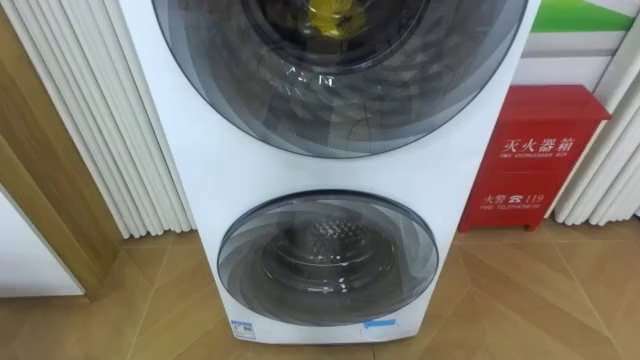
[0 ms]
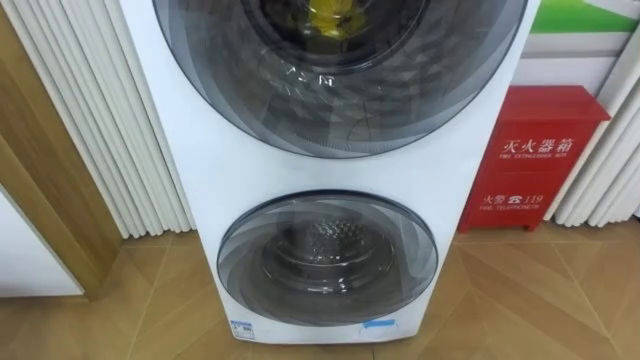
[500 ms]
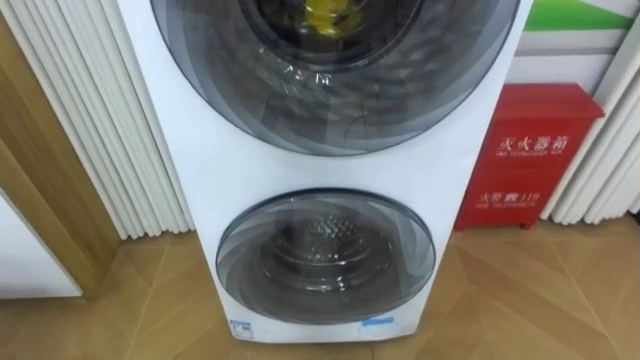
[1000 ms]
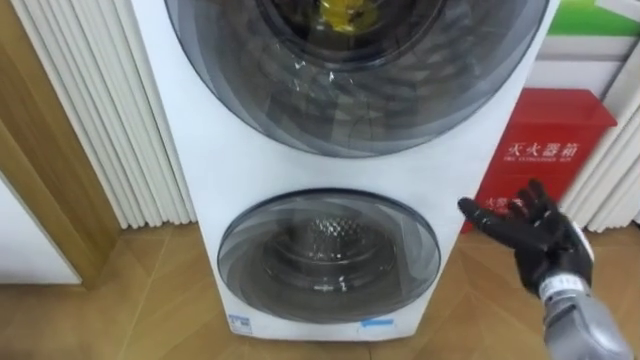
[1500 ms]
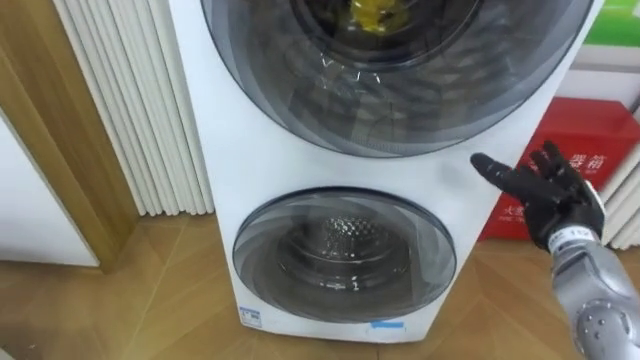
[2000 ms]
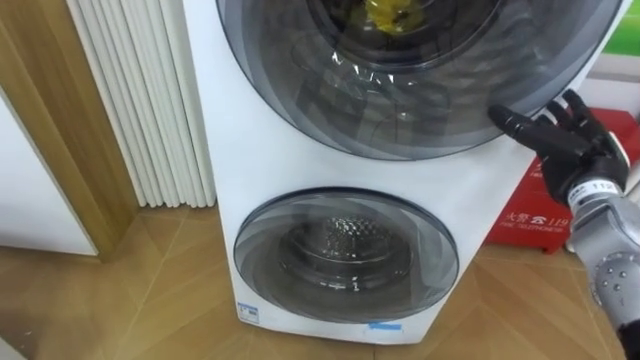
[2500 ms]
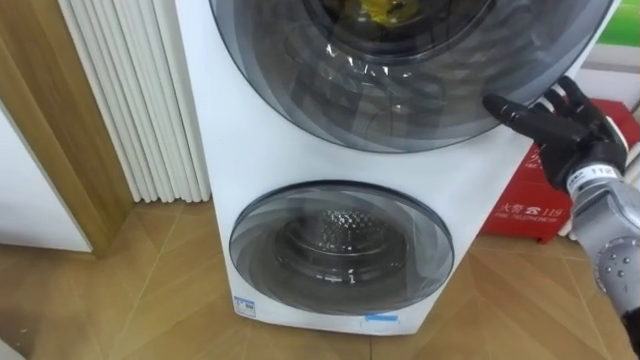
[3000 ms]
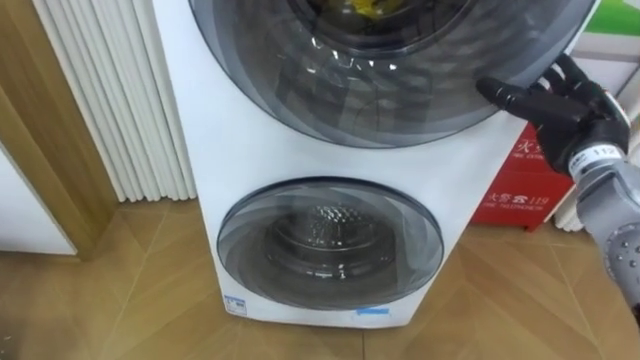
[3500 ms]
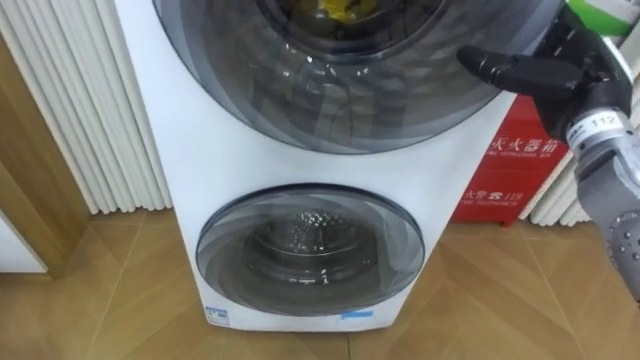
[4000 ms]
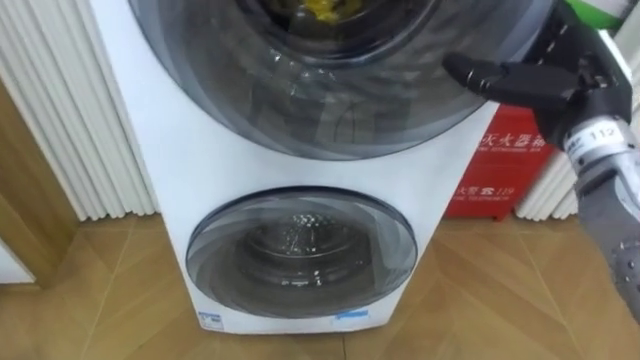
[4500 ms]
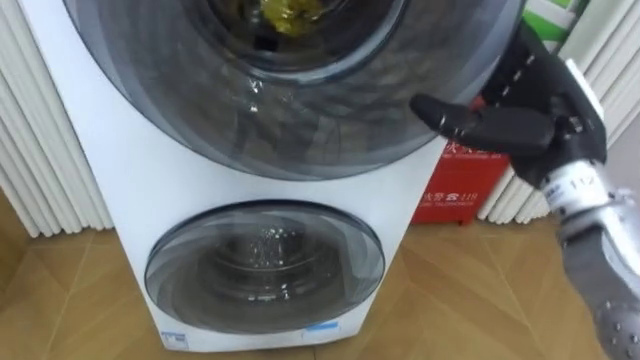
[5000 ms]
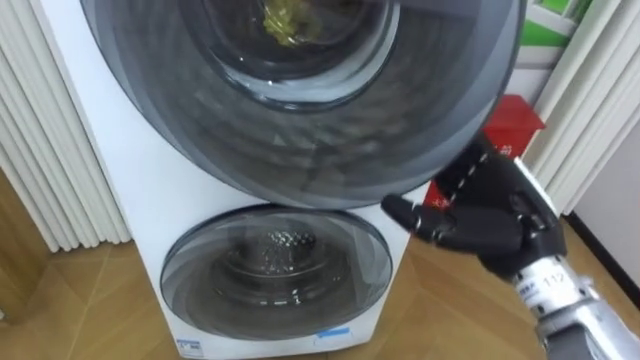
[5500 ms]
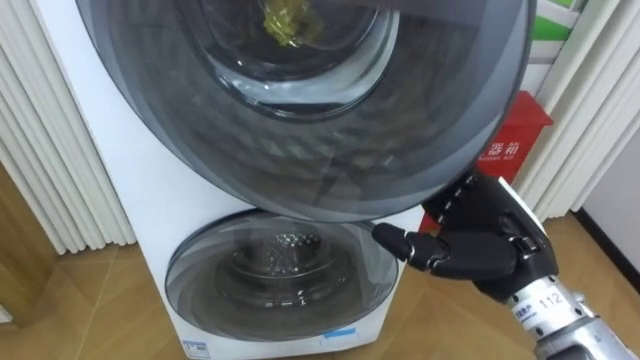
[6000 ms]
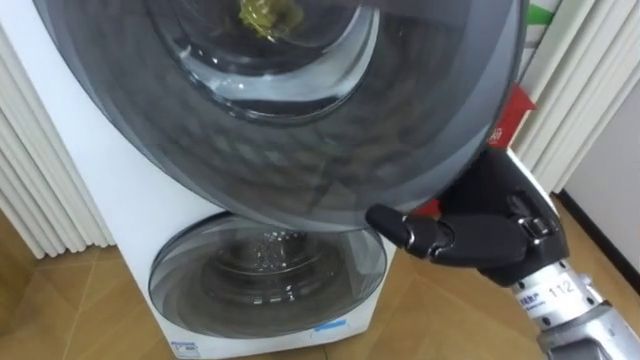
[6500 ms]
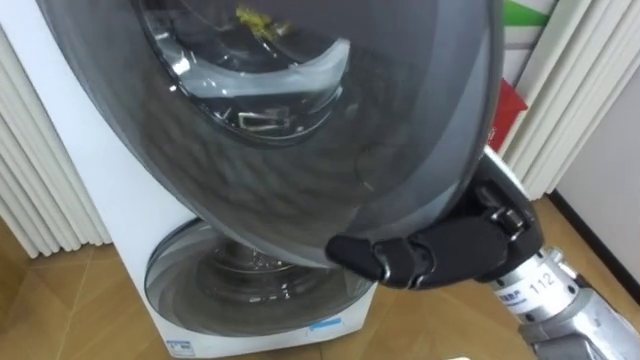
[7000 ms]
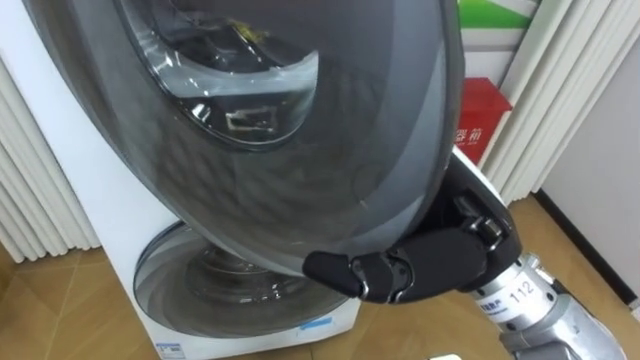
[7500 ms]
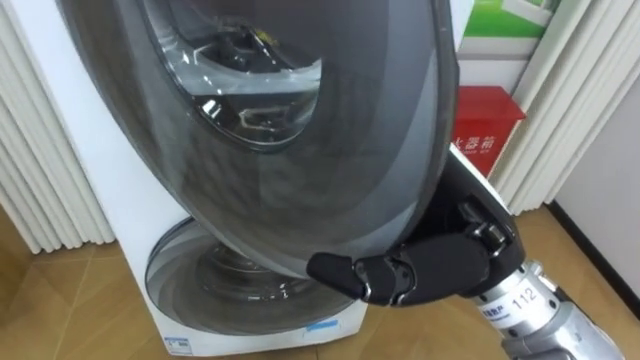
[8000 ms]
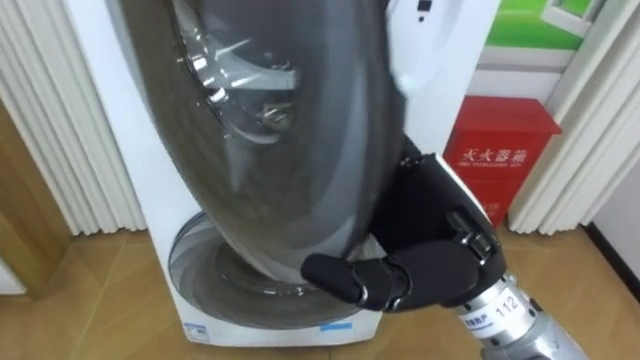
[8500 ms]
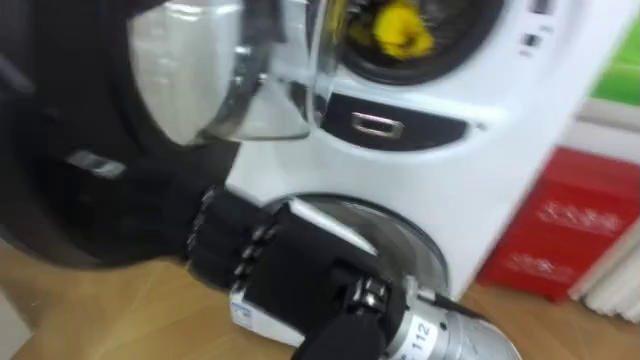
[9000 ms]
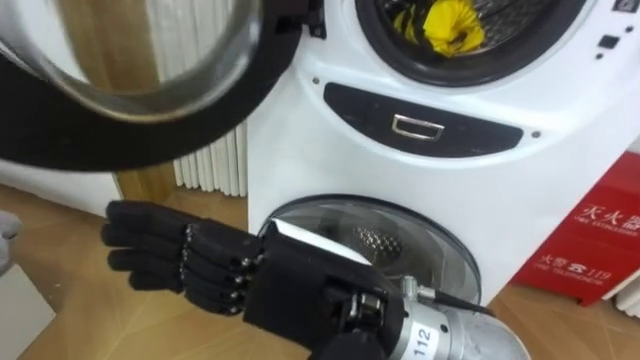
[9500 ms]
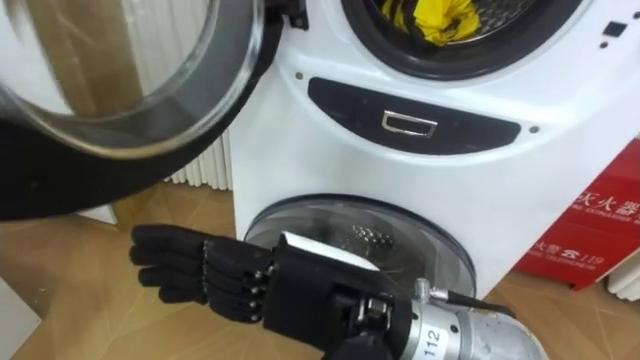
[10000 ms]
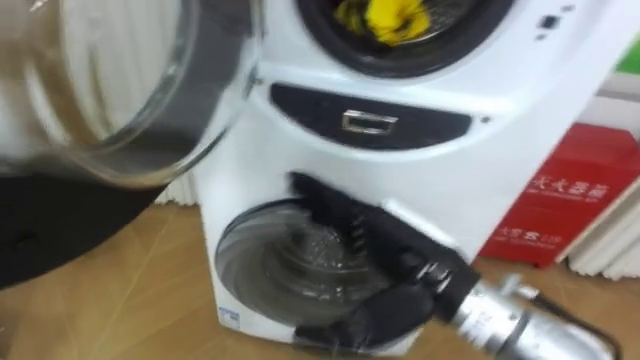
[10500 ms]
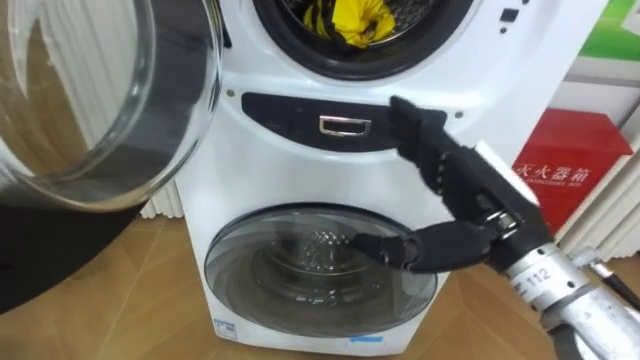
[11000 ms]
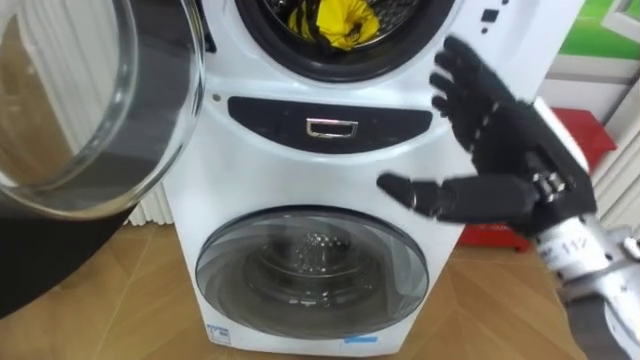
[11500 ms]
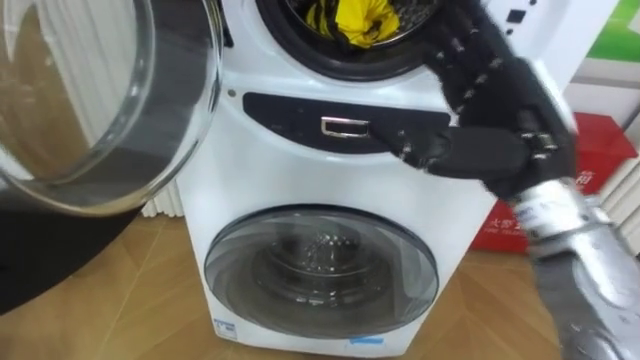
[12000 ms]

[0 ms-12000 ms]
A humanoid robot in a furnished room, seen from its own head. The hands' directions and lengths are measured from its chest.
Task of the whole recording: Open the washing machine door, take out the yellow clothes, place them in the box on the right, and close the washing machine door.
2000 ms to 4000 ms: The right hand moves upward, roughly 15 cm.
4000 ms to 6000 ms: The right hand heads backward, downward and to the left, covering roughly 15 cm.
6000 ms to 8000 ms: The right hand moves to the left and upward, about 10 cm.
8000 ms to 10000 ms: The right hand goes about 10 cm to the left and backward.
10000 ms to 12000 ms: The right hand shifts approximately 20 cm to the right and forward.

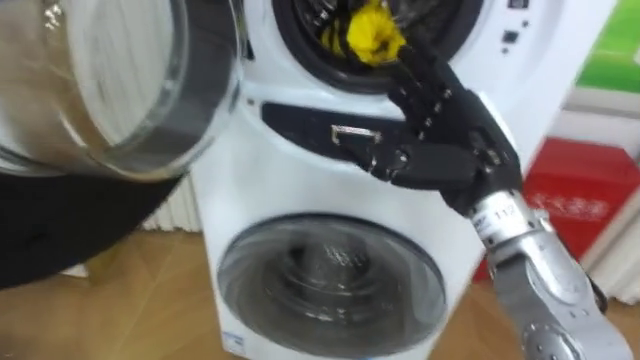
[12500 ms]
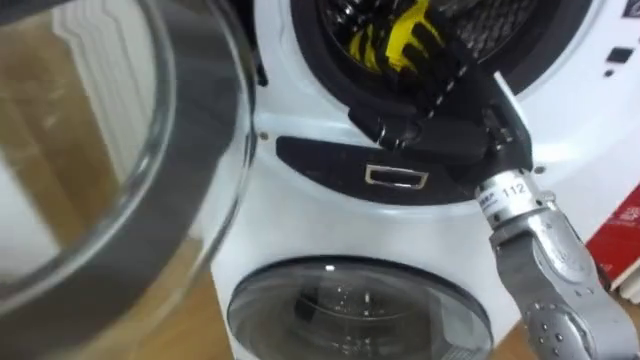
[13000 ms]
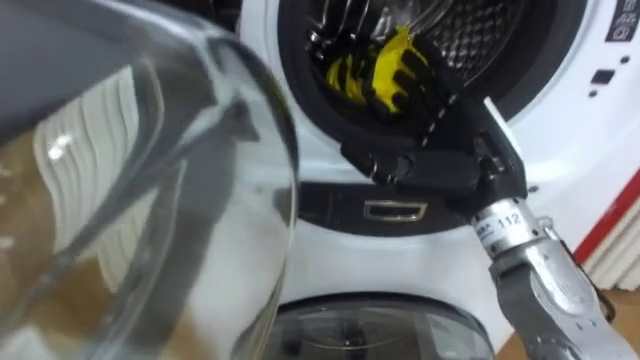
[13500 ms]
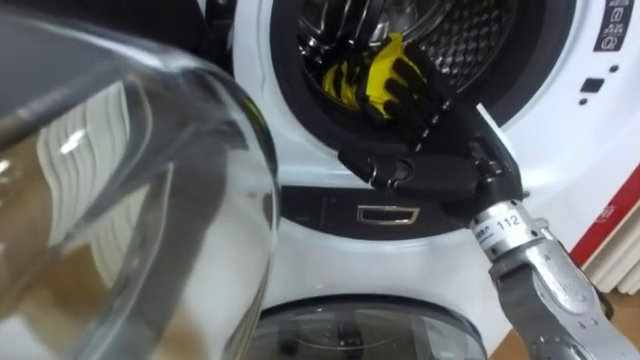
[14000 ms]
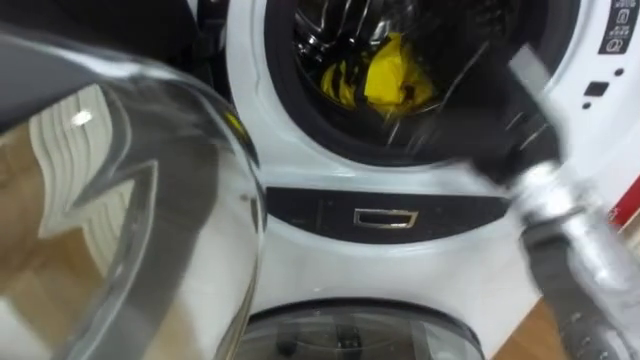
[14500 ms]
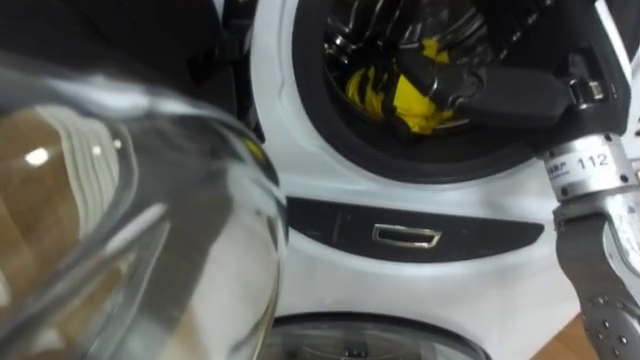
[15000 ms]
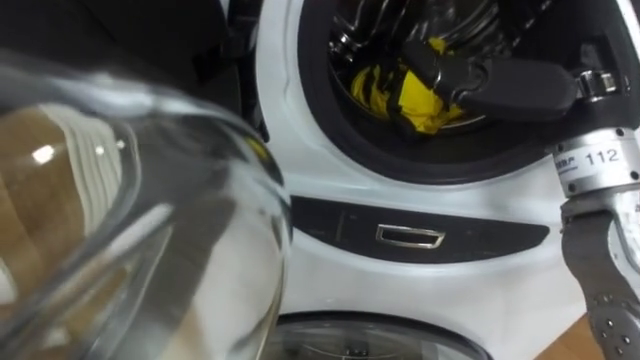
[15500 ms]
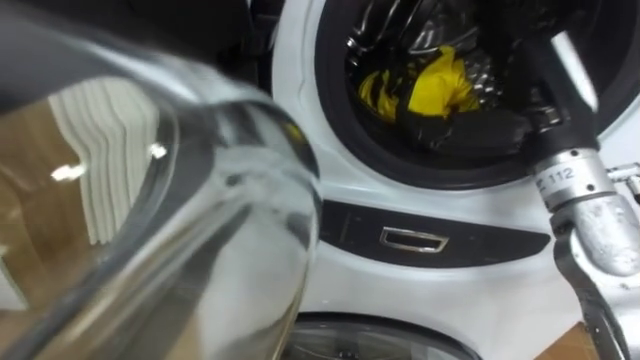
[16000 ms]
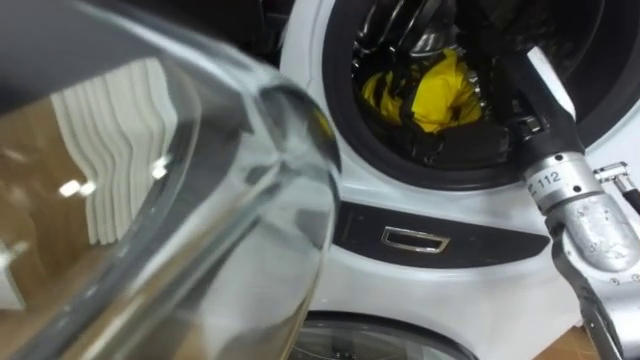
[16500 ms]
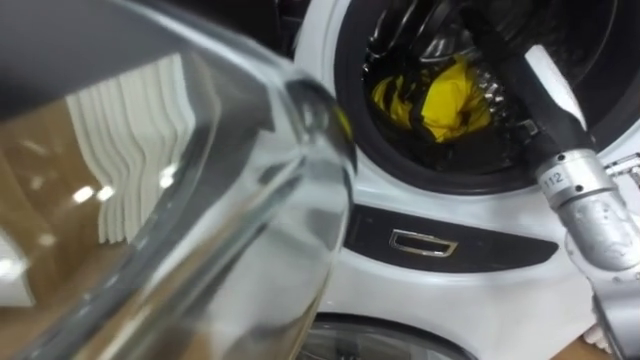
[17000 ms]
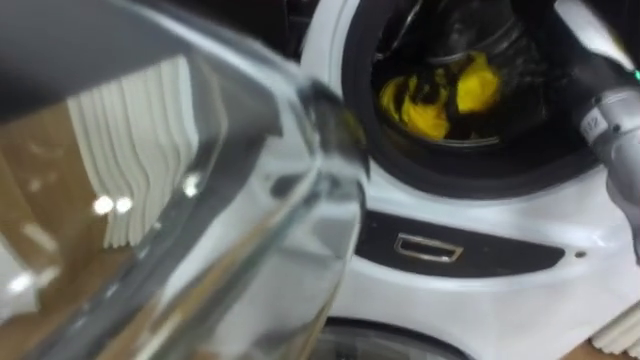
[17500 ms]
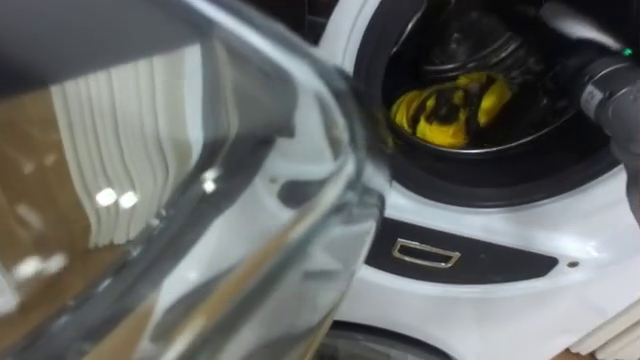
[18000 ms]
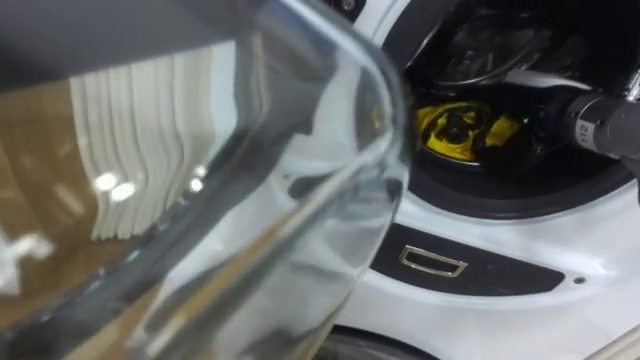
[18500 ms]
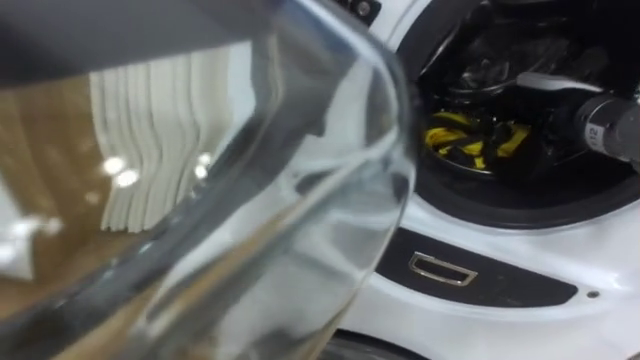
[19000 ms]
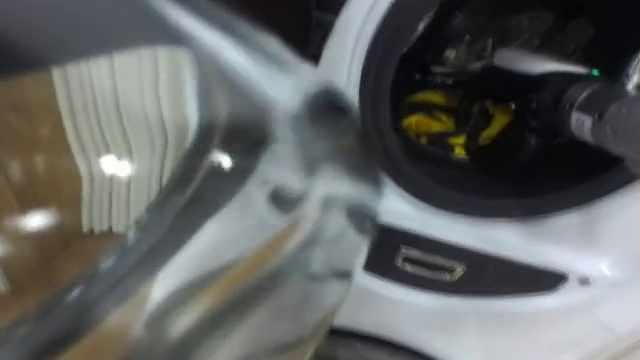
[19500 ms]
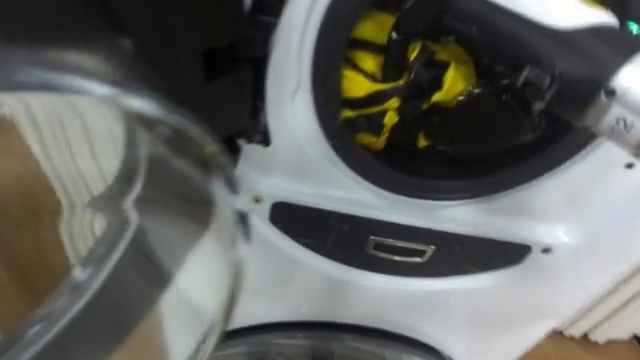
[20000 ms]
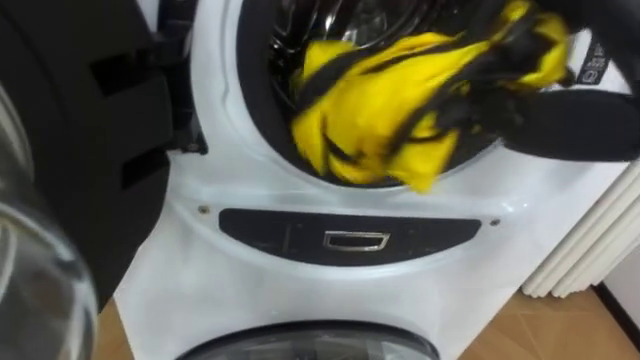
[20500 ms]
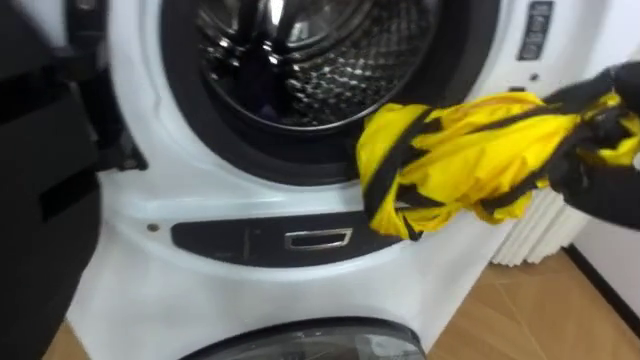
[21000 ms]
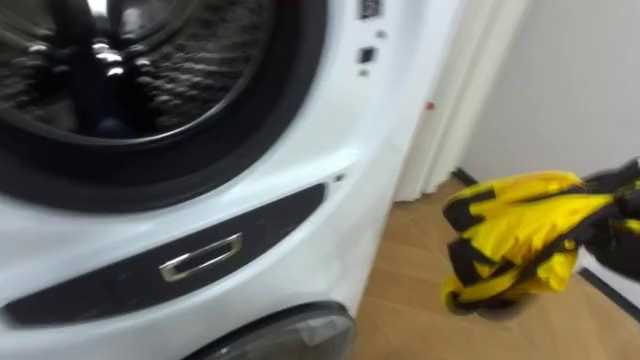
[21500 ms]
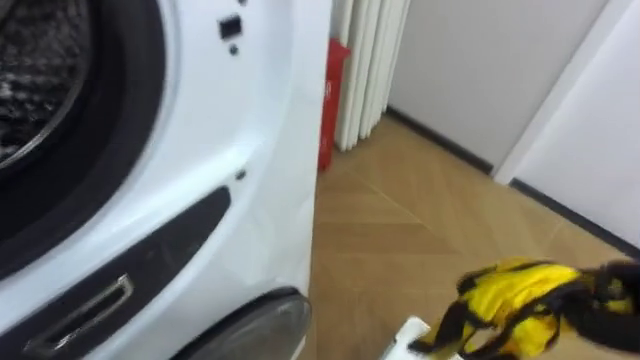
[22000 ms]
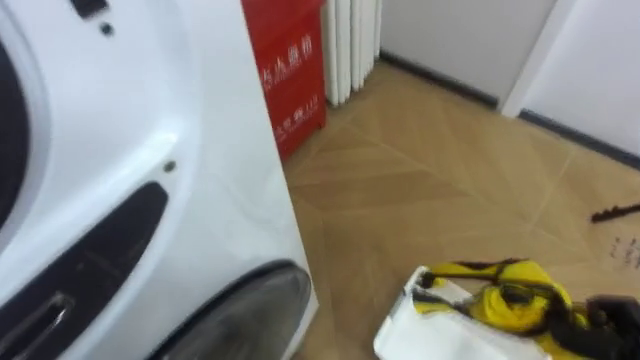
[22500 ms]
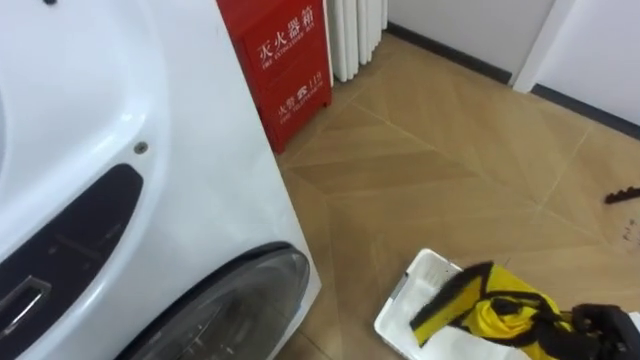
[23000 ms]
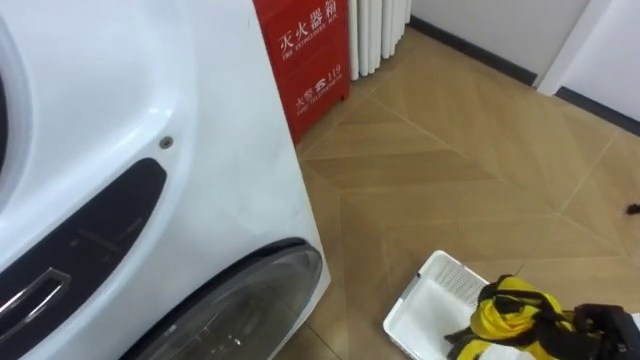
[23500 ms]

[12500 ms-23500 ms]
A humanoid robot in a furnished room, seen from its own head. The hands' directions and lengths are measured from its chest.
Task of the whole recording: Open the washing machine door, take out the yellow clothes, place them in the box on the right, and close the washing machine door.
12500 ms to 14500 ms: The right hand shifts by about 5 cm.
16000 ms to 18000 ms: The right hand heads forward, covering some 5 cm.
18000 ms to 20000 ms: The right hand goes approximately 15 cm backward, to the left and upward, and closes up.